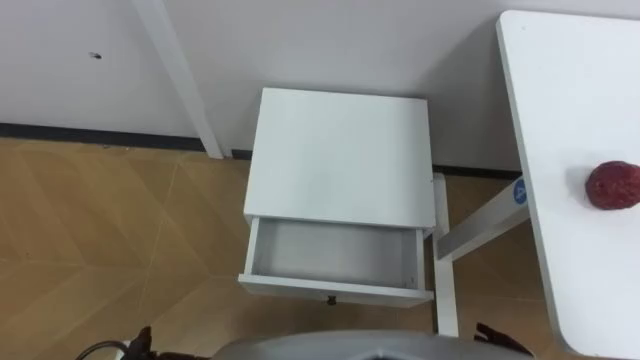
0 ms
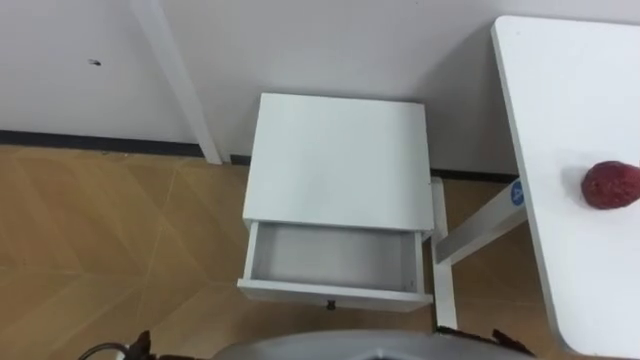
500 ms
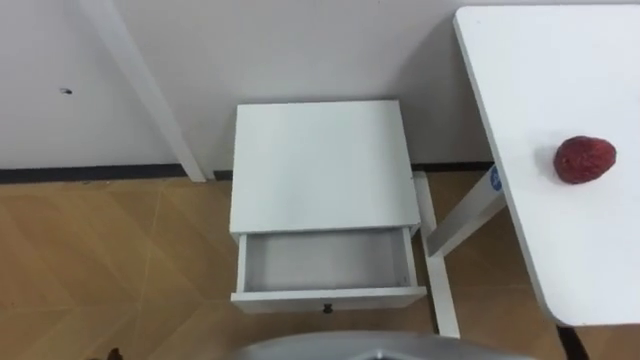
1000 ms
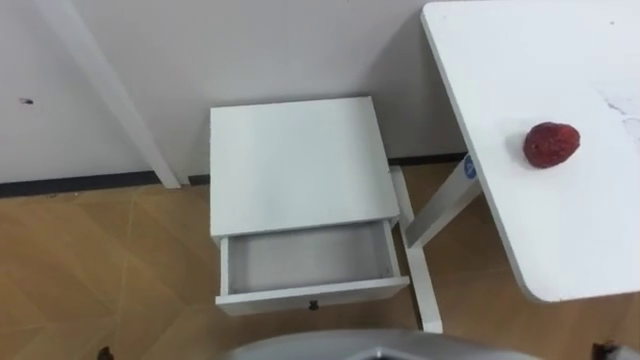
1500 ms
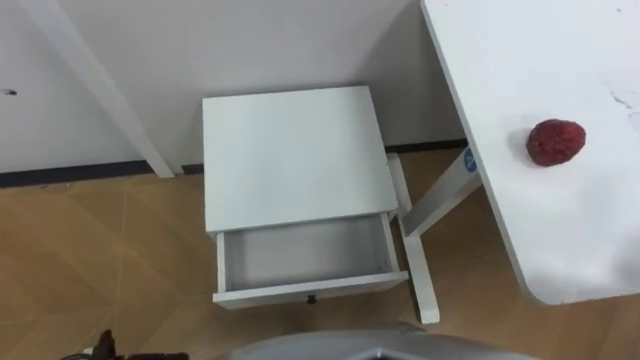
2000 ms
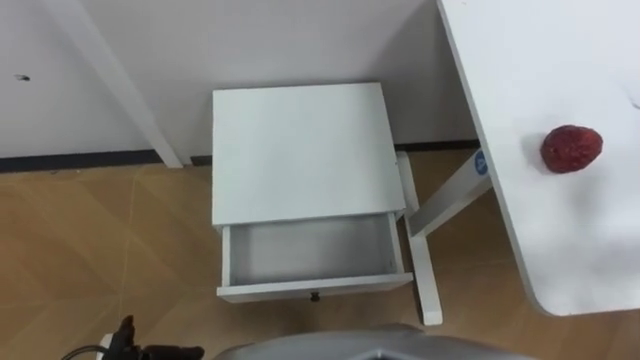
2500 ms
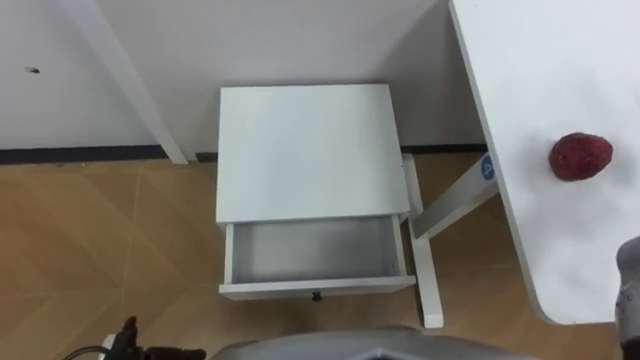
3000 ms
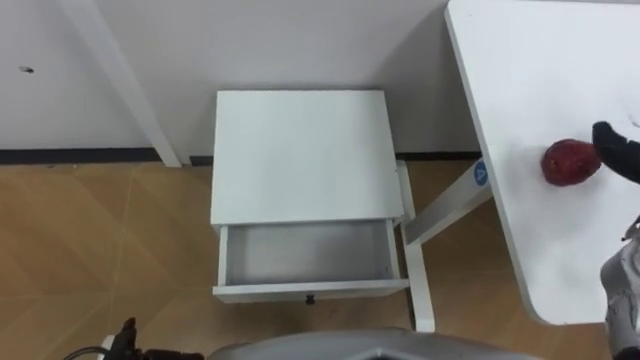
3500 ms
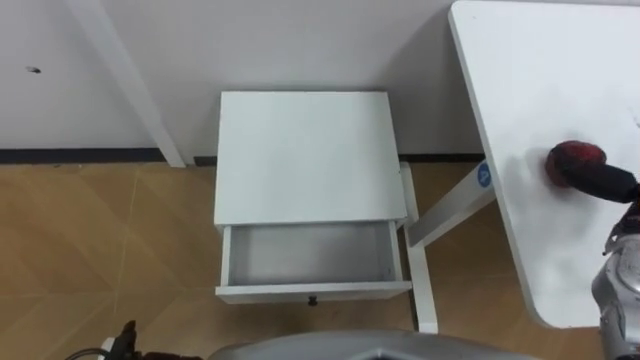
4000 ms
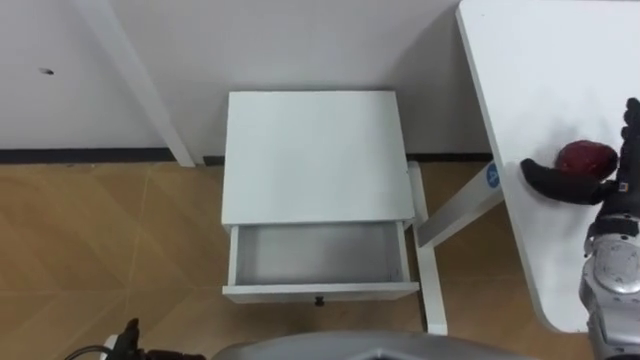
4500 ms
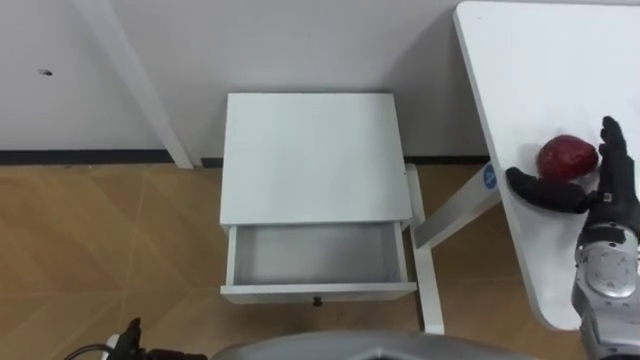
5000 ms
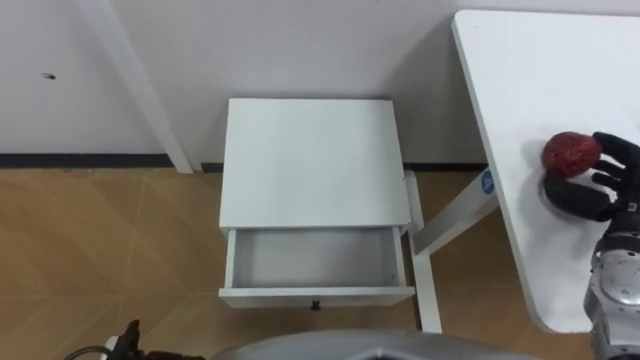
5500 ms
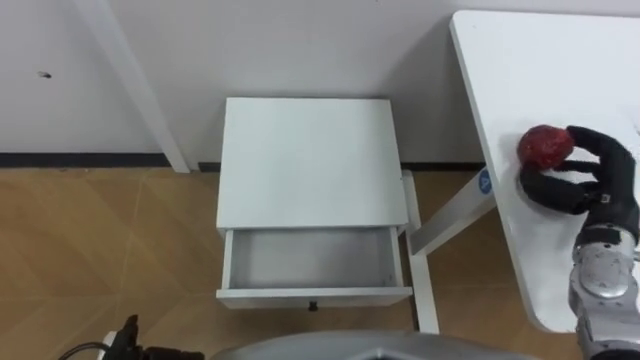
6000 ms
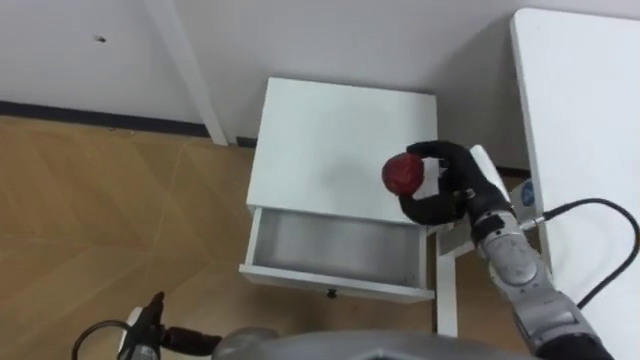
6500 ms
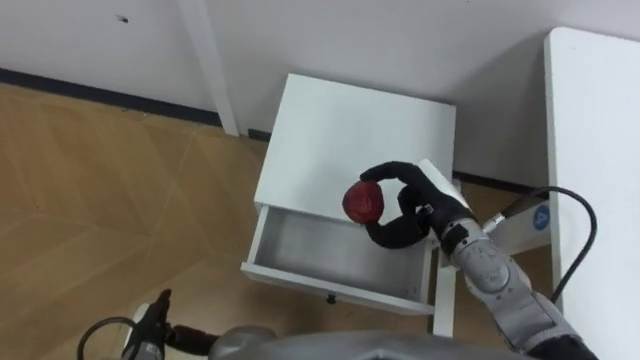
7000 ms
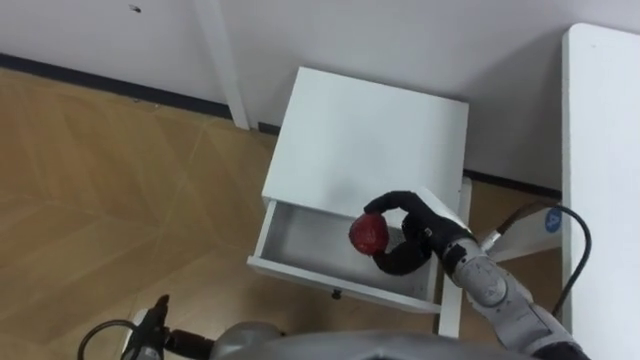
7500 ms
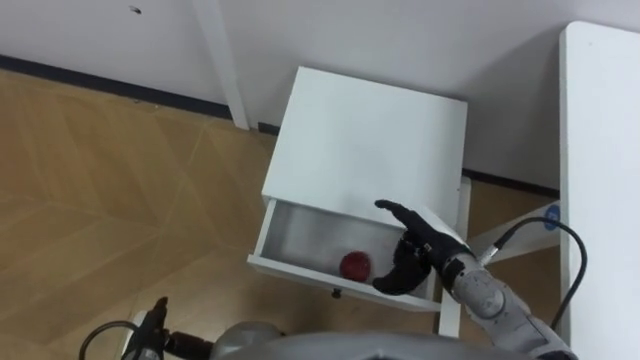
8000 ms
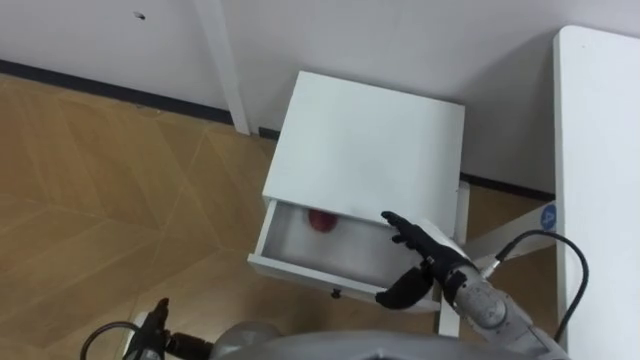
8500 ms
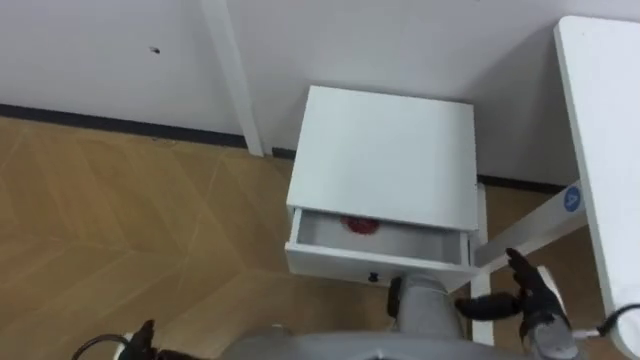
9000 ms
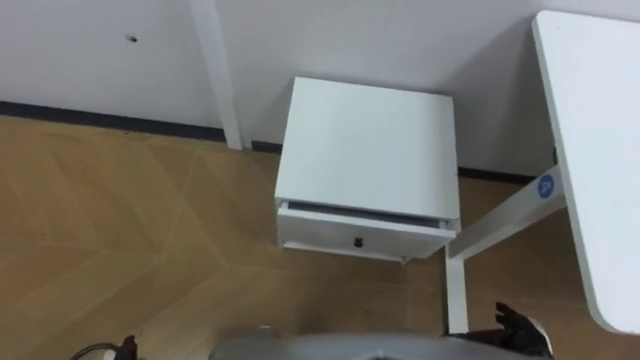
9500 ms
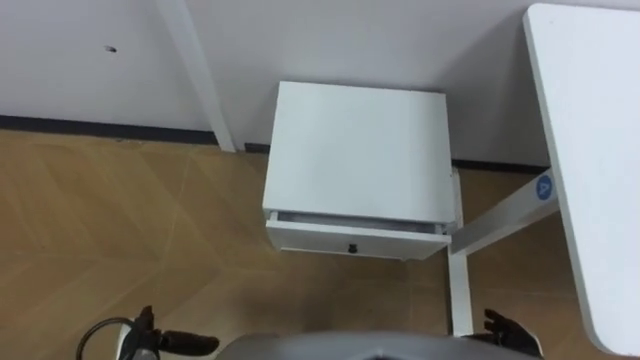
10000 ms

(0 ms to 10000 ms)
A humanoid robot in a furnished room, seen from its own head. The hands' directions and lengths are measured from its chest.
Task of the whole recording: Pick up the apple from the table, put it in the drawer, and close the drawer with leg.
6000 ms - 8000 ms: The right hand travels to the left and downward by about 20 cm.
8000 ms - 10000 ms: The right hand travels backward, to the right and downward by about 20 cm, and opens its fingers.

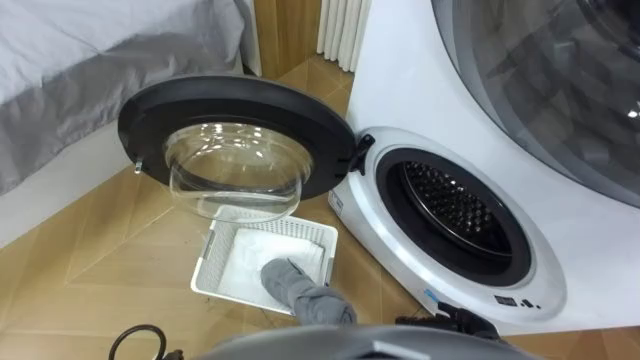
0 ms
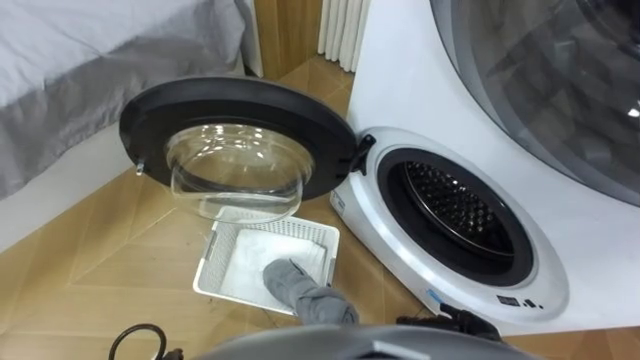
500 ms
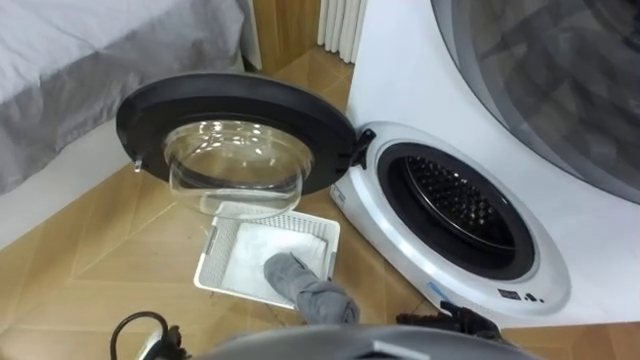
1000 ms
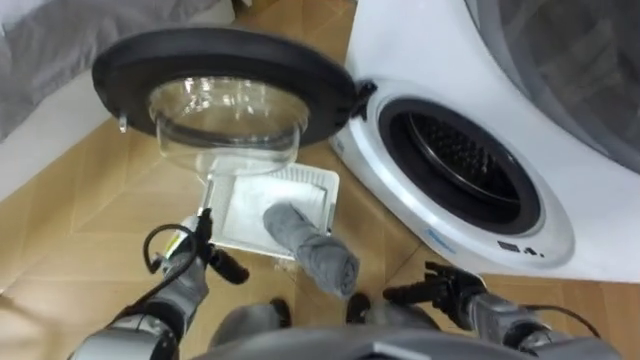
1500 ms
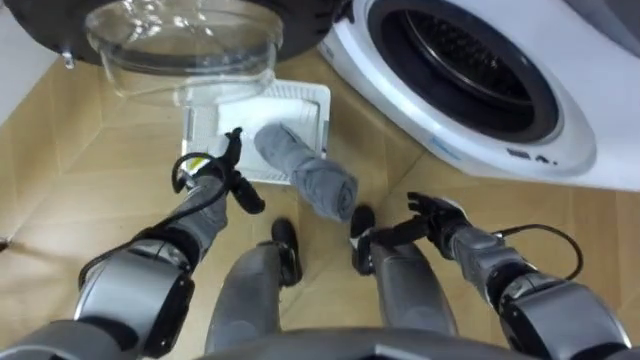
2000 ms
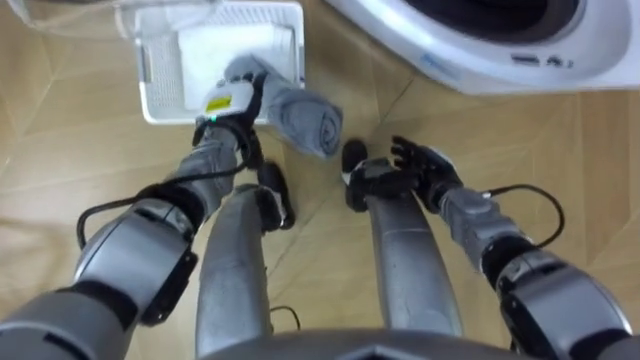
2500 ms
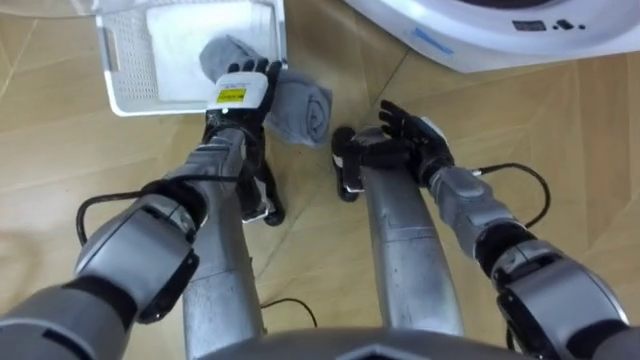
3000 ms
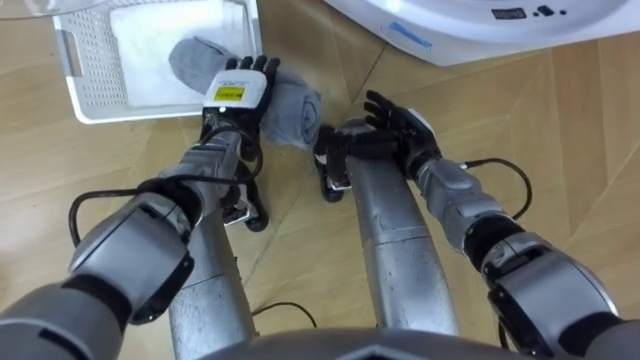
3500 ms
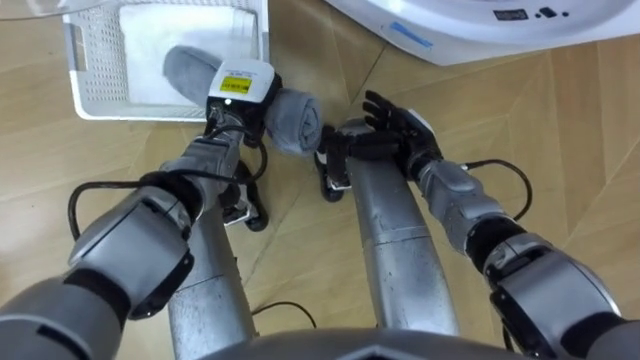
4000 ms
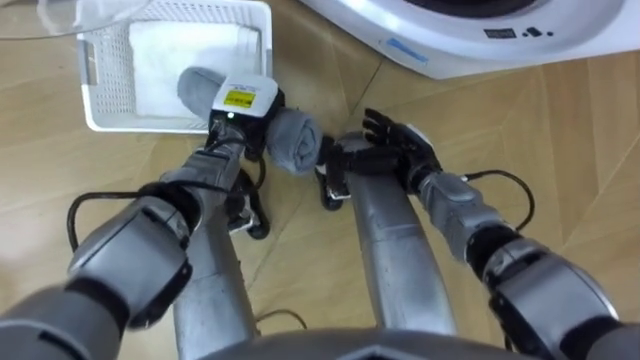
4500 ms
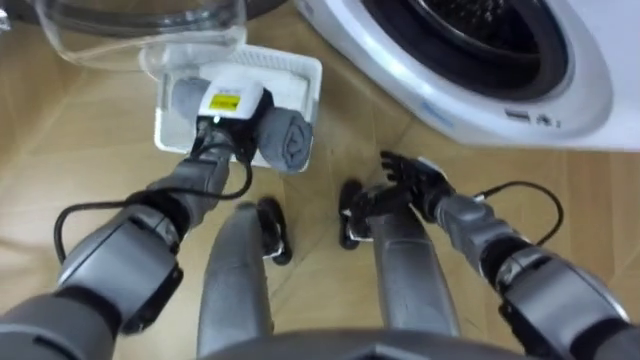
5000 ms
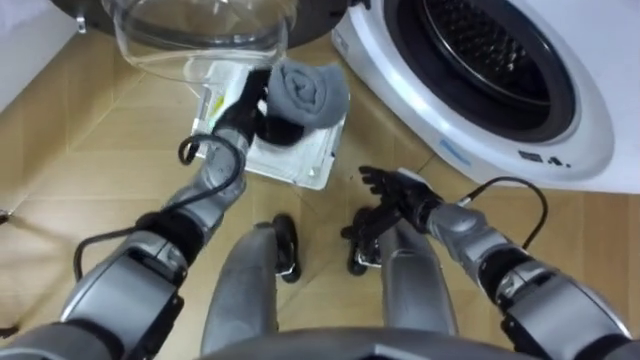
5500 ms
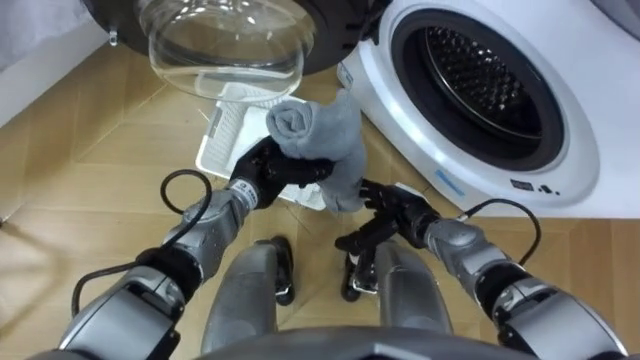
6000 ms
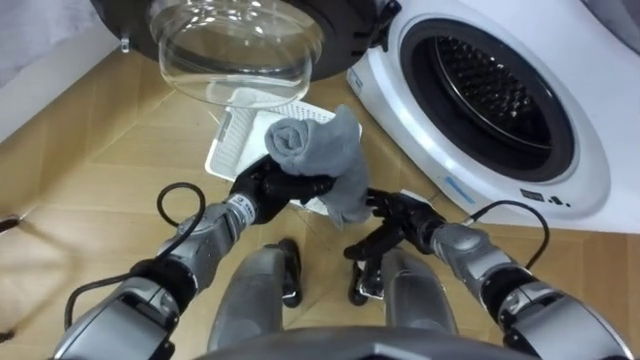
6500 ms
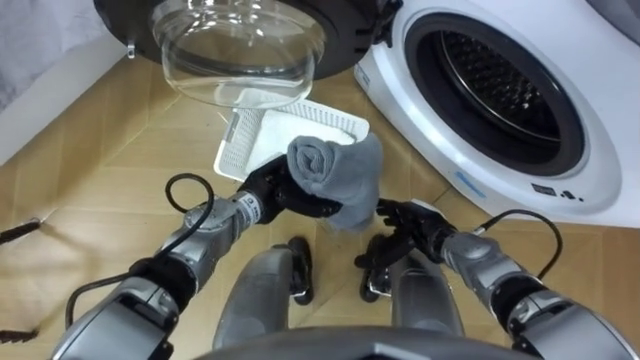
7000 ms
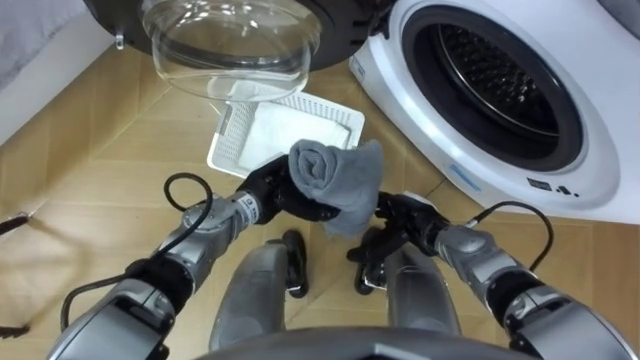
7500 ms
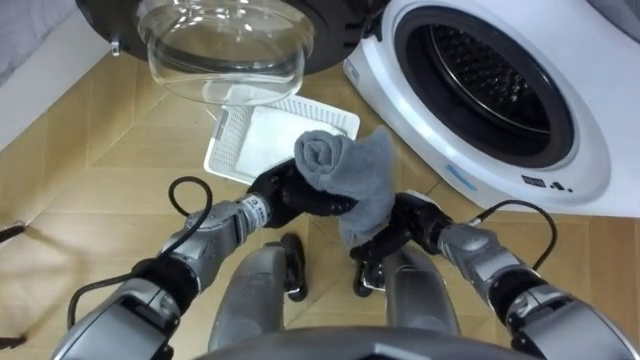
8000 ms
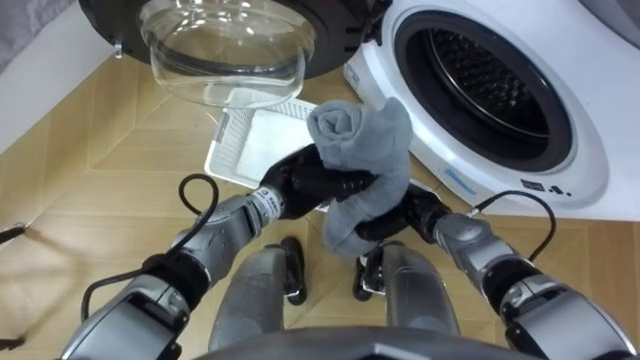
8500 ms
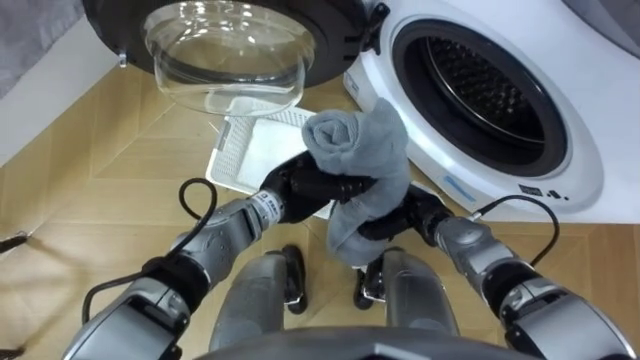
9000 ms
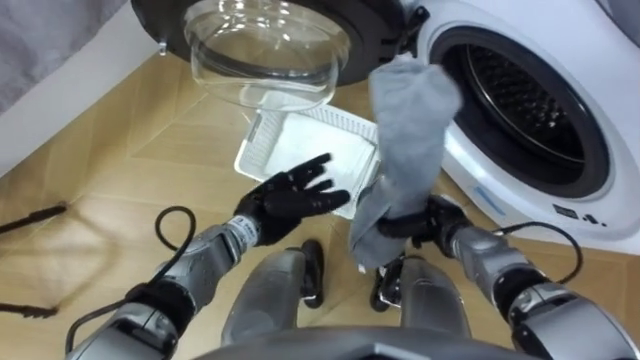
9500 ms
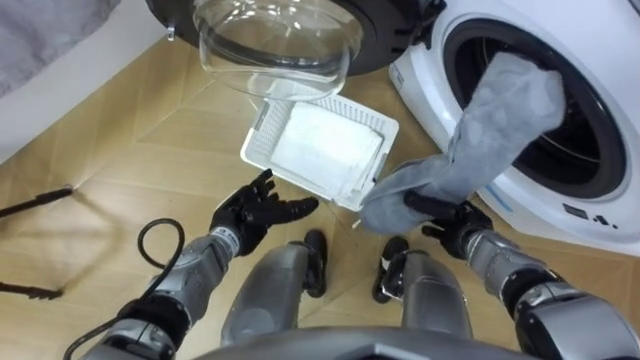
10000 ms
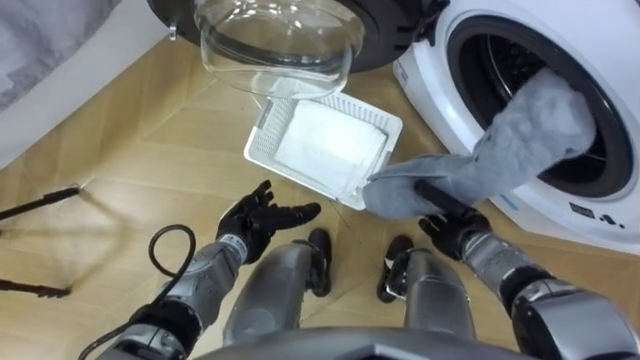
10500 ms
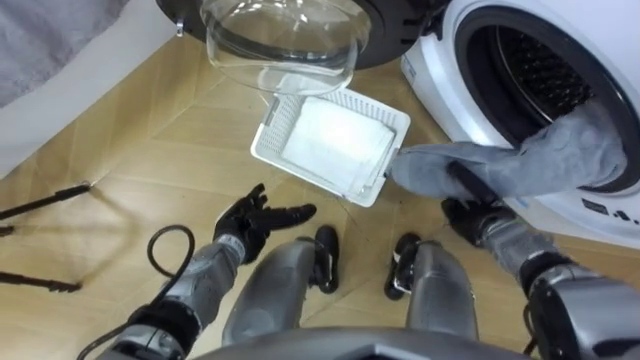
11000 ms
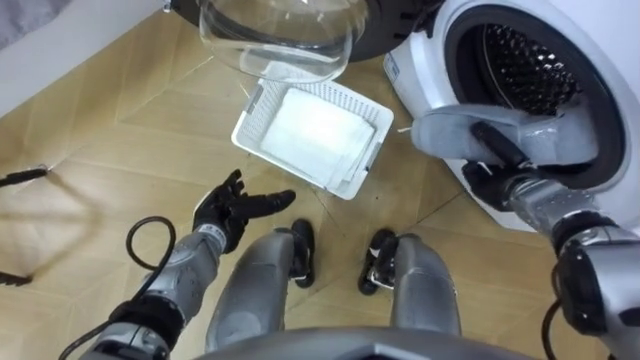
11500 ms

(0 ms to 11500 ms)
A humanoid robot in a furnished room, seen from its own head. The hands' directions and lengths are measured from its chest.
Task of the whole recording: Take the towel from the basket and put it into the washing machine.
2000 ms - 4000 ms: The right hand heads forward, upward and to the left, covering about 15 cm; the left hand travels upward, forward and to the right by about 10 cm, and closes its fingers.
4000 ms - 6000 ms: Both hands travel together backward and downward, about 10 cm.
7500 ms - 9500 ms: The right hand closes its fingers. The left hand opens up.
9500 ms - 11500 ms: The left hand moves to the left, roughly 10 cm, while the right hand goes some 10 cm to the right and forward.
